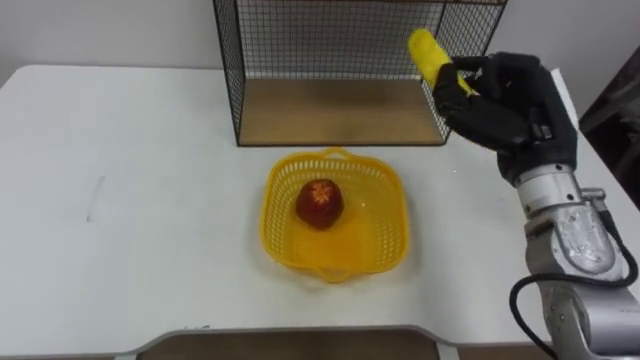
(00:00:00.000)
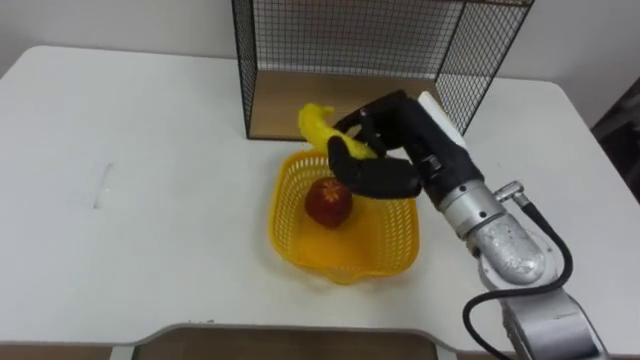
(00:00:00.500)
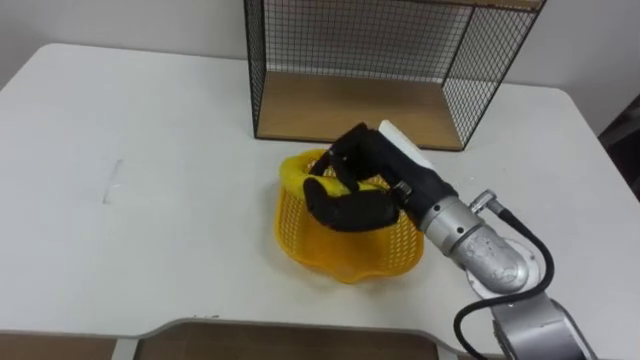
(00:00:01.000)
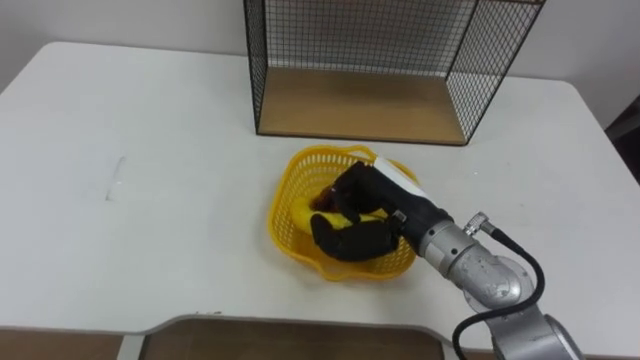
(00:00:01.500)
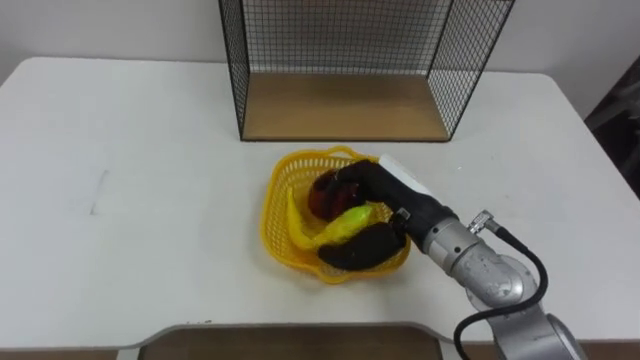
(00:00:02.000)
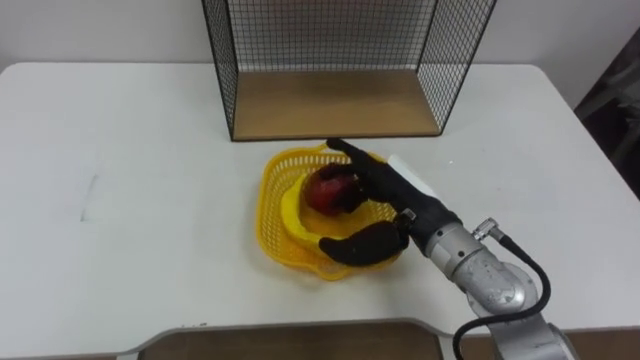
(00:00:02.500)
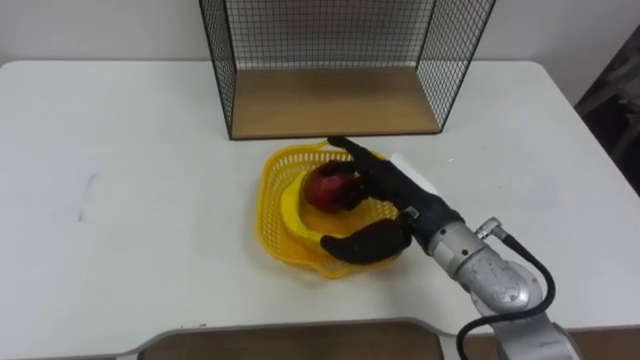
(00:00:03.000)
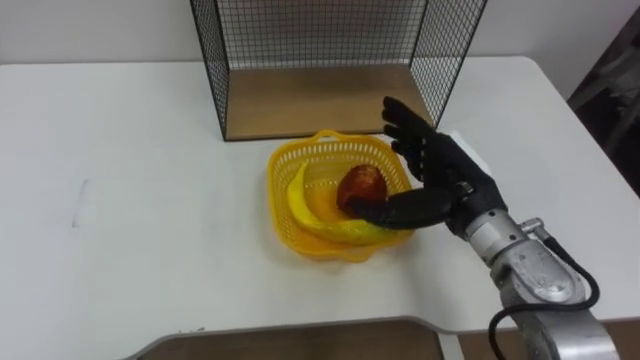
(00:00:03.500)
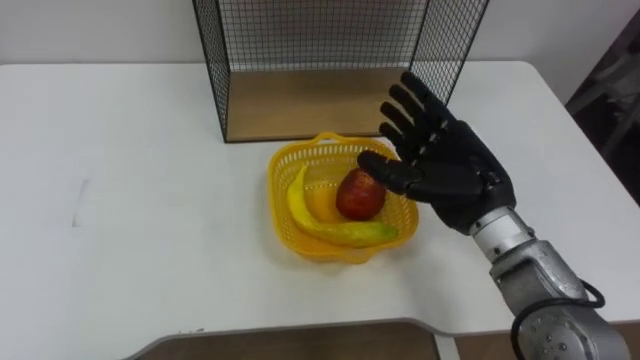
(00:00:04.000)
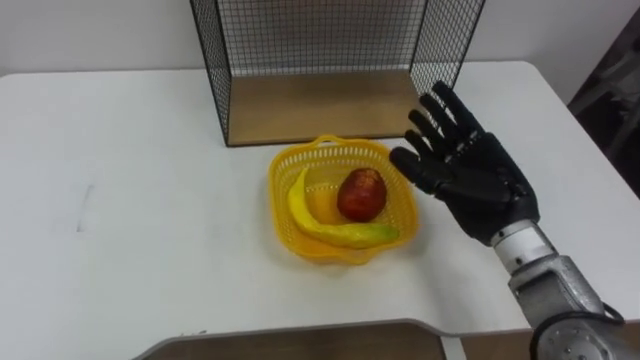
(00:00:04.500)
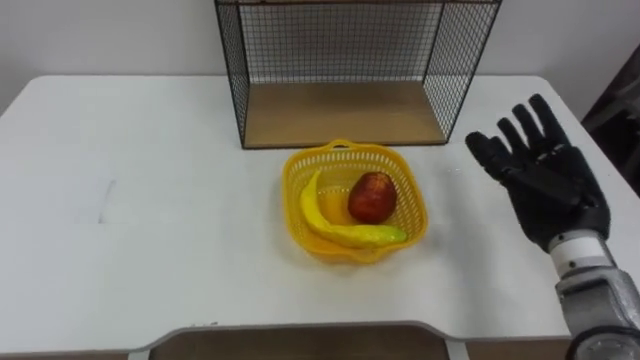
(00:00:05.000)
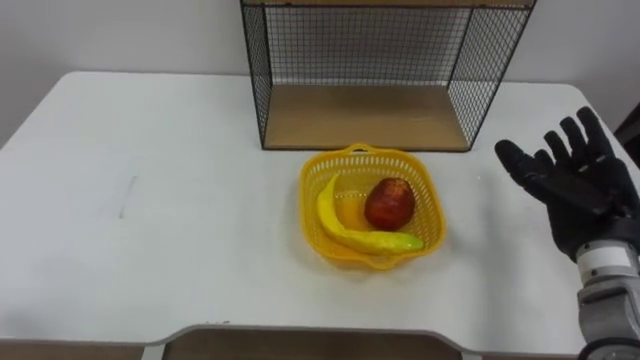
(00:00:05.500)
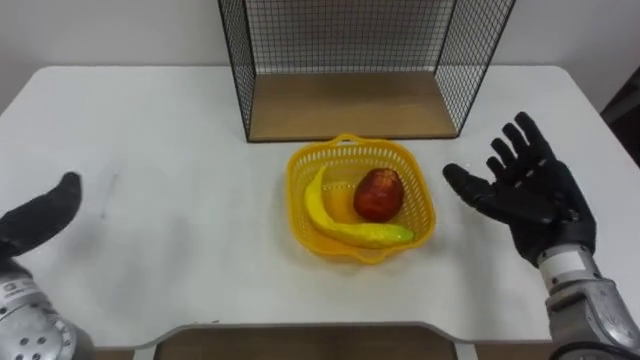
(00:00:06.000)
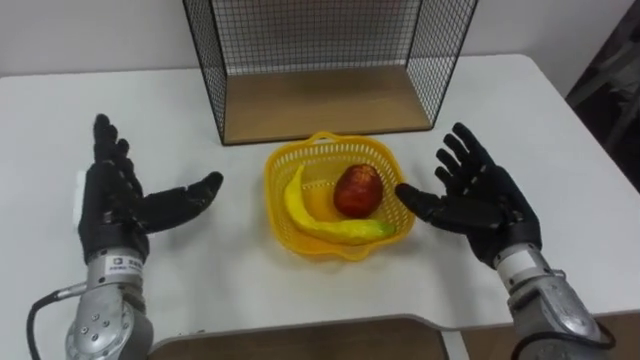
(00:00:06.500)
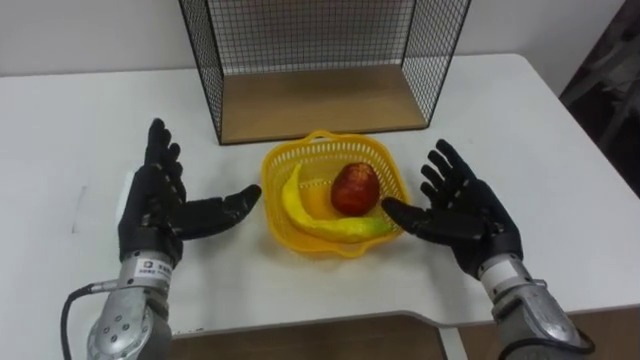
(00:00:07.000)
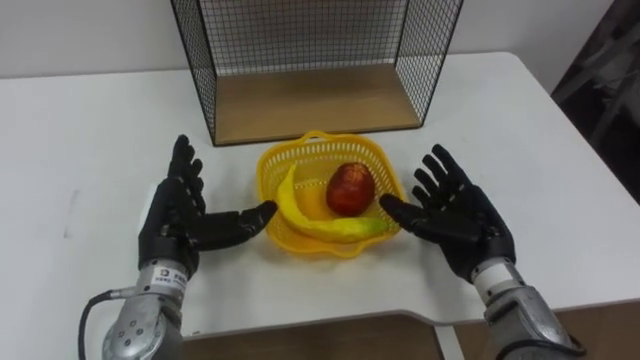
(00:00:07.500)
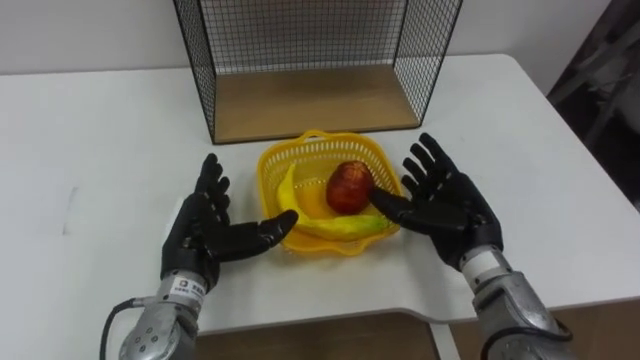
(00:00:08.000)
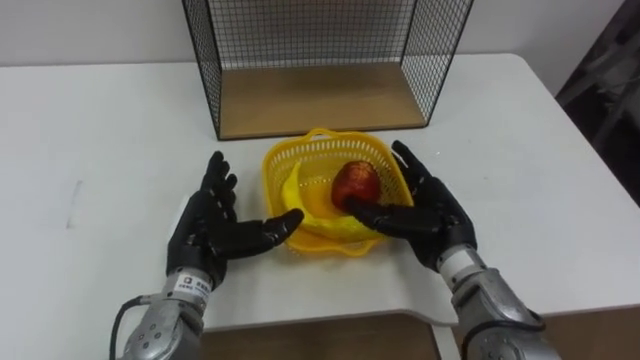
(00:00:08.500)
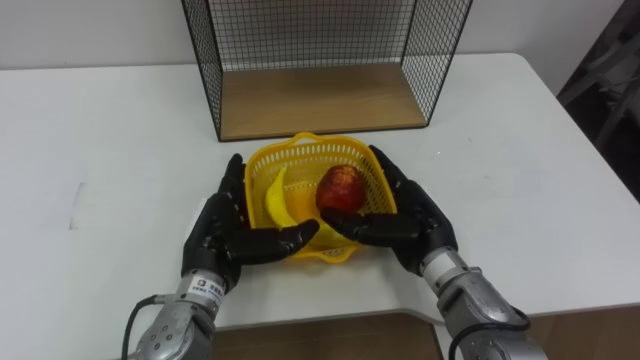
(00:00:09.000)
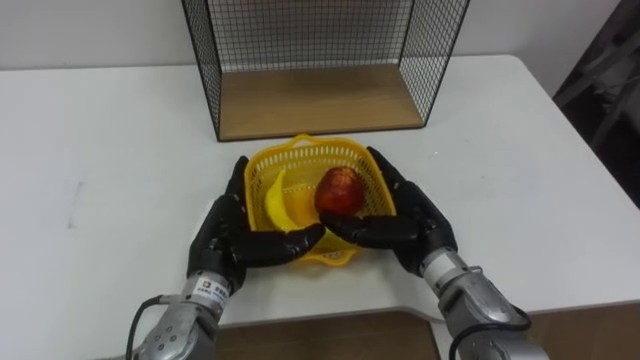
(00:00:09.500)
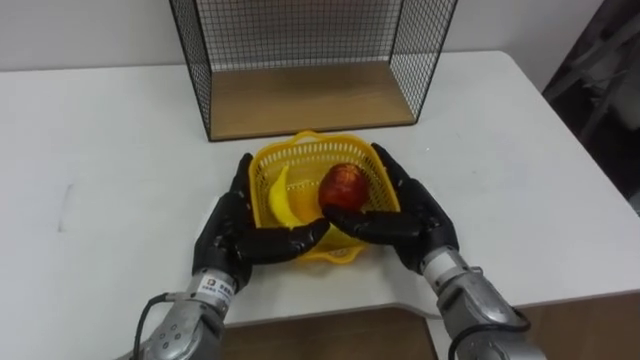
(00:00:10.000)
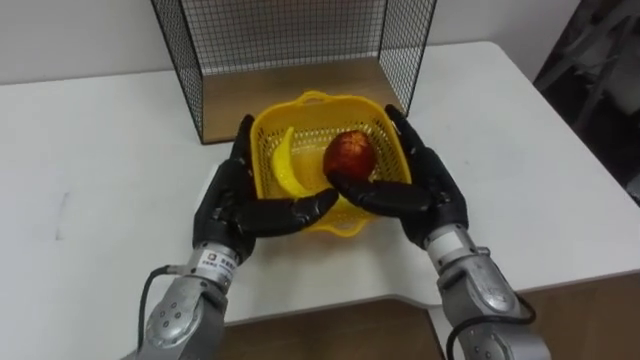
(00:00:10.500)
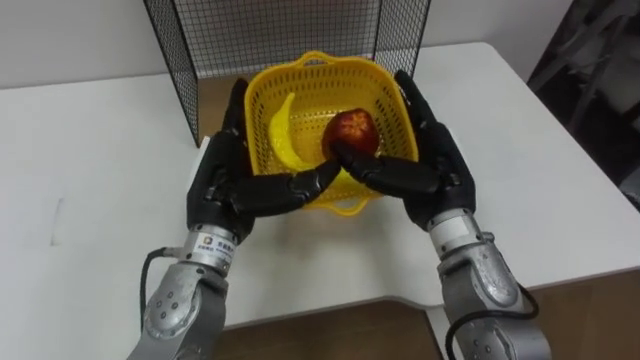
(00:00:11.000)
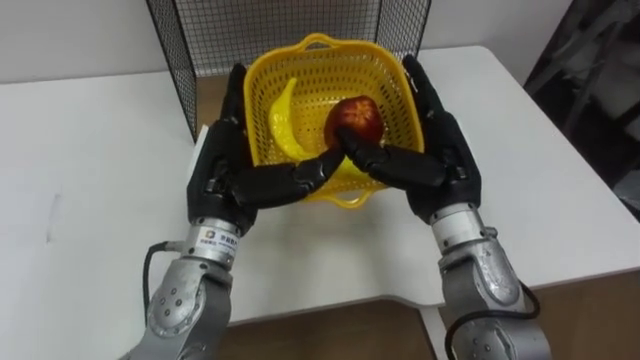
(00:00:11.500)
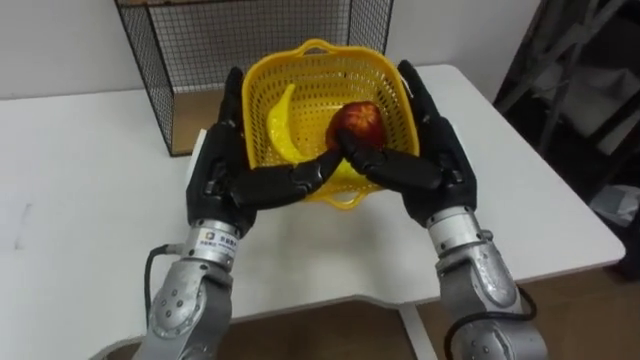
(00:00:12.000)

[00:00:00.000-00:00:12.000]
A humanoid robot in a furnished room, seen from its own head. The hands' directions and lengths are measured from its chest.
Task of the whole recording: Put the fruit on the table into the basket, then place the basket on the shelf.
00:00:00.000 to 00:00:02.000: The right hand heads to the left and downward, covering about 15 cm, and opens.
00:00:02.000 to 00:00:04.000: The right hand travels to the right by some 5 cm, and opens up.
00:00:04.000 to 00:00:06.000: The right hand moves to the right, about 10 cm.
00:00:06.000 to 00:00:08.000: The right hand is displaced to the left by approximately 10 cm.
00:00:08.000 to 00:00:10.000: The right hand moves to the left, approximately 5 cm.
00:00:10.000 to 00:00:12.000: Both hands travel together upward, approximately 10 cm.

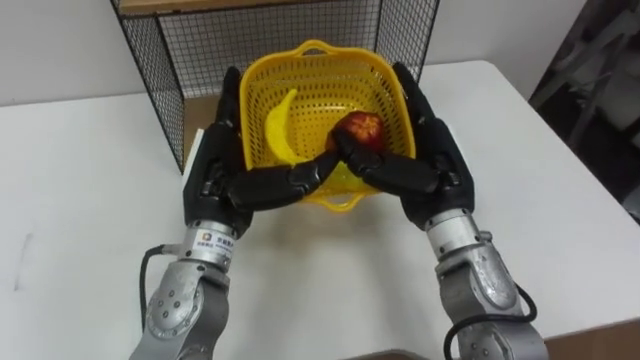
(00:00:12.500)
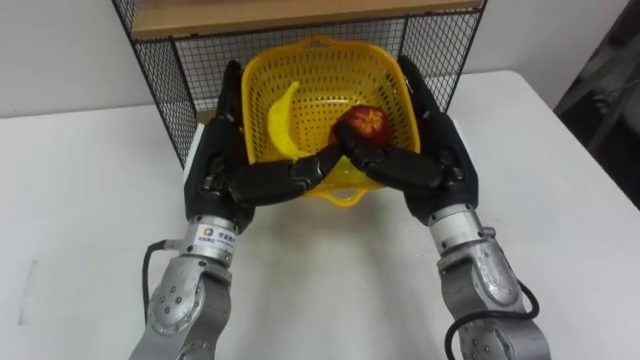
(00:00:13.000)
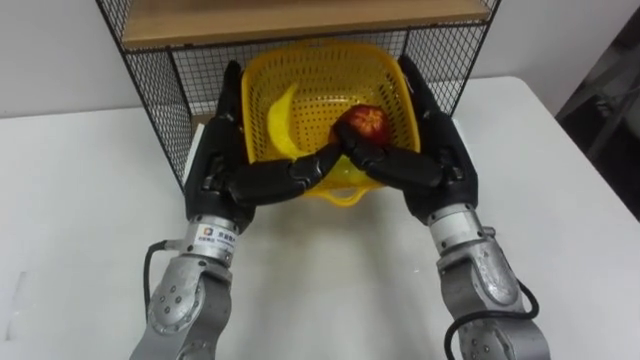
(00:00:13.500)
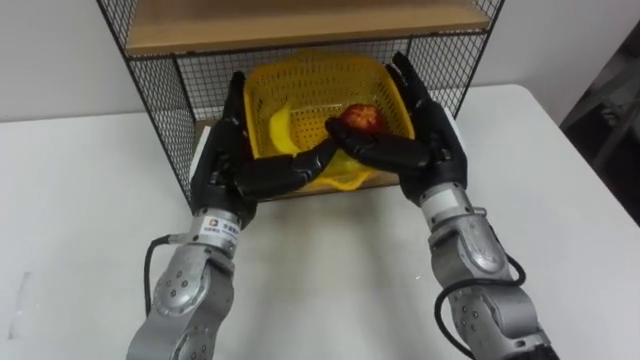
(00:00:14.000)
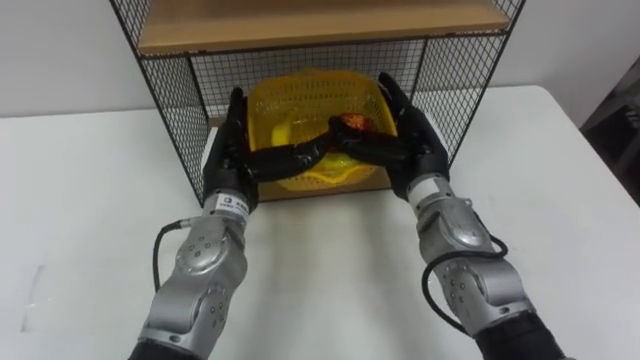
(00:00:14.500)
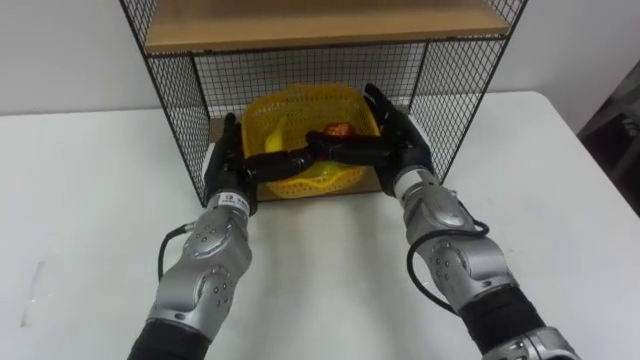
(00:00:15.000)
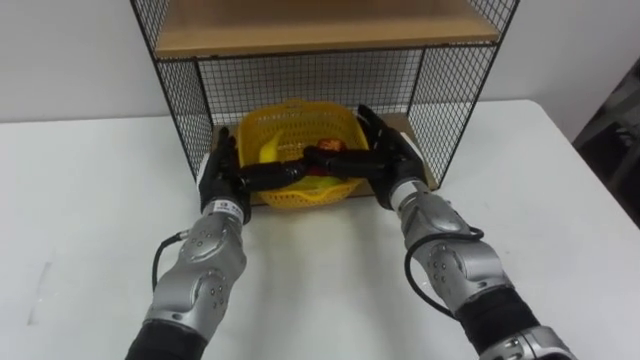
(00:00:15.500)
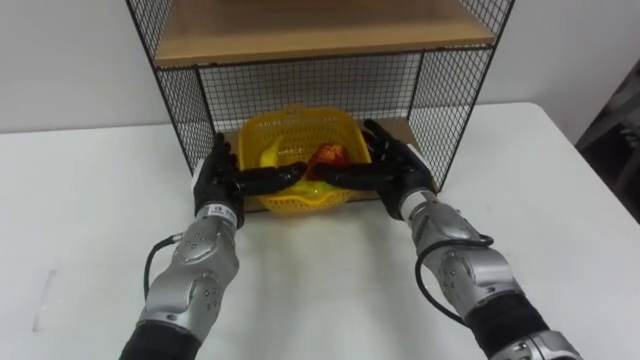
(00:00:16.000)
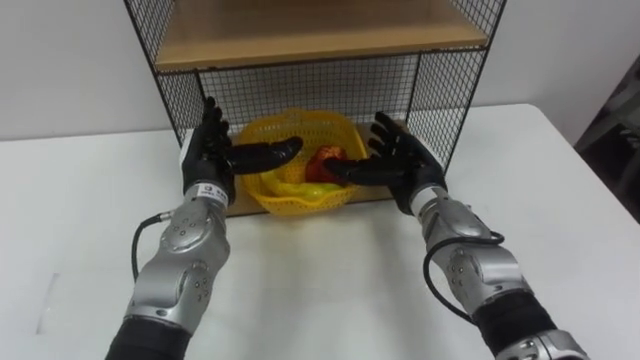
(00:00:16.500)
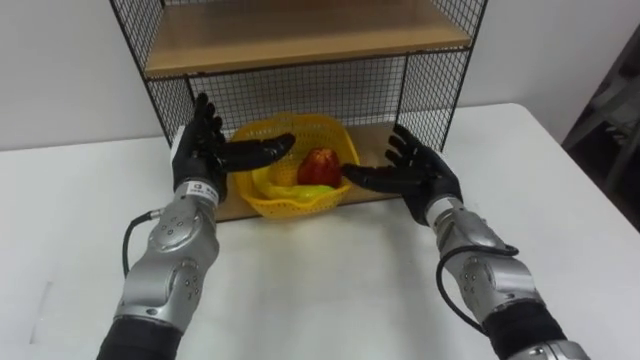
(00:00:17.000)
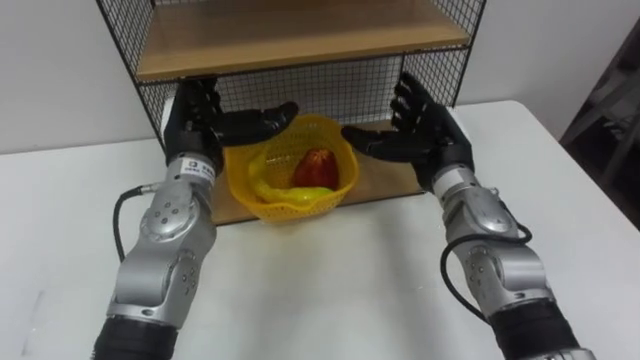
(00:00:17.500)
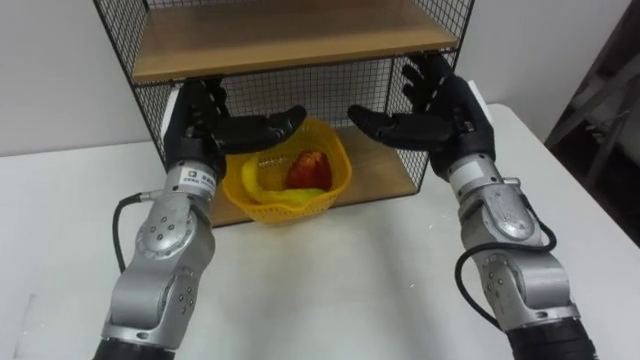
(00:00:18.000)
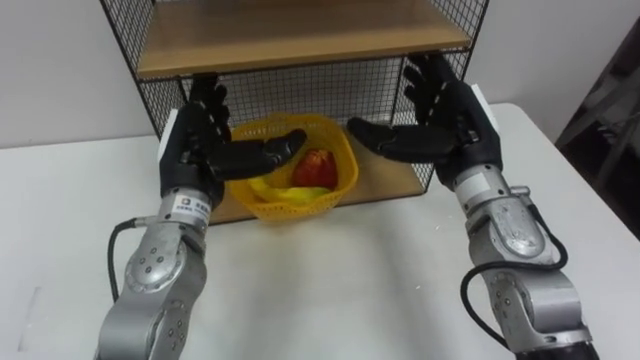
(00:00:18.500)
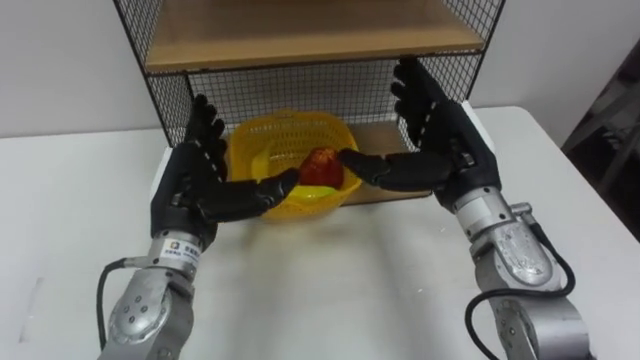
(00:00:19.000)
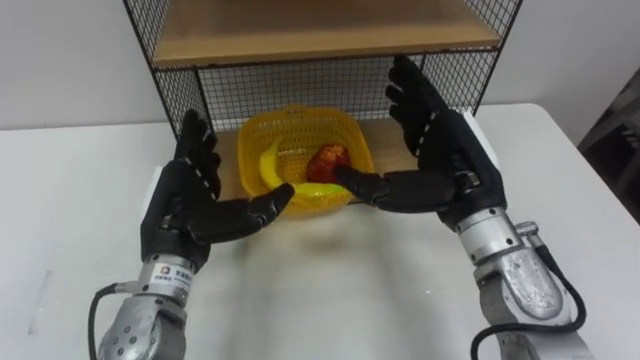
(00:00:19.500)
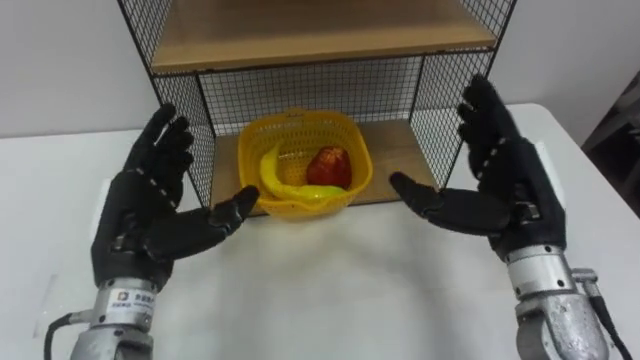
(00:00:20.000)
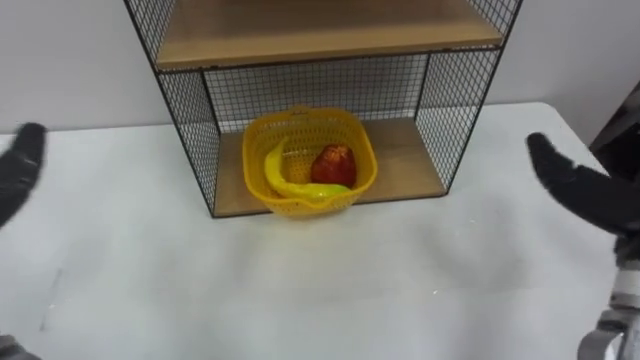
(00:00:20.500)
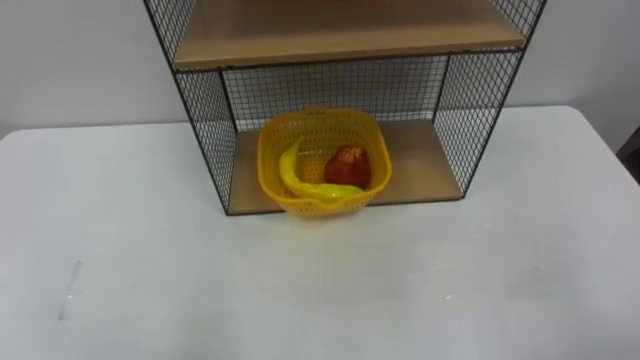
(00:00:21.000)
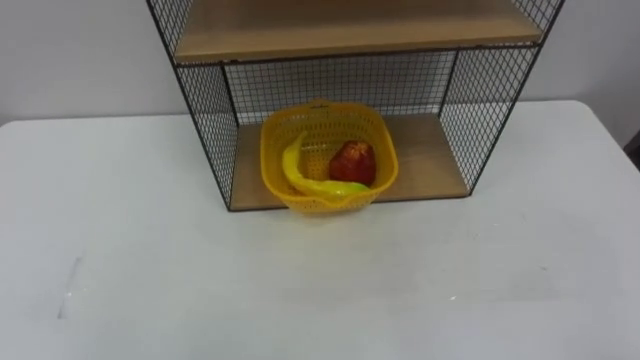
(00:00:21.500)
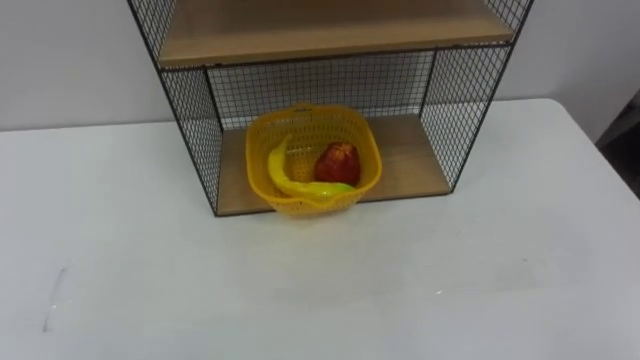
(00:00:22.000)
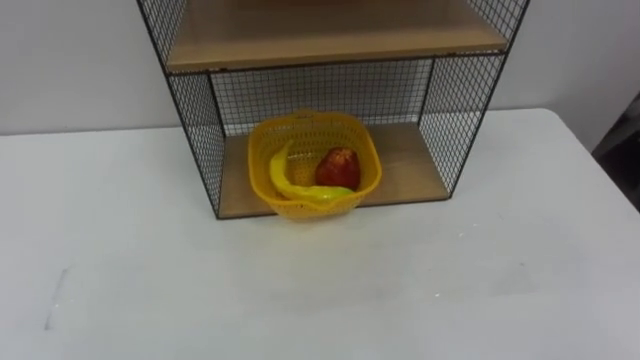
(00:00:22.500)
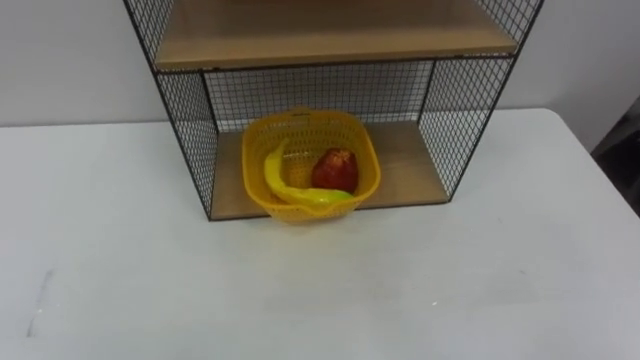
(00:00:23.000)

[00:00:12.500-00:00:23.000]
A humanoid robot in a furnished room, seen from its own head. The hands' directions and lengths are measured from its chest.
Task of the whole recording: Put the fruit on the table into the basket, then place the basket on the shelf.
00:00:12.500 to 00:00:14.500: The right hand travels forward by about 5 cm, while the left hand changes place by some 5 cm.
00:00:14.500 to 00:00:16.500: The right hand moves downward, roughly 5 cm.
00:00:16.500 to 00:00:19.000: The right hand moves upward, approximately 10 cm. The left hand is displaced backward by about 5 cm.
